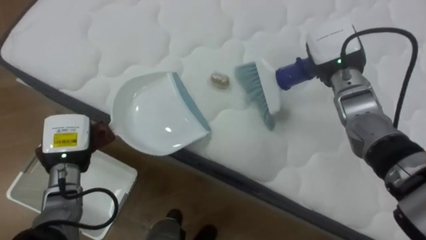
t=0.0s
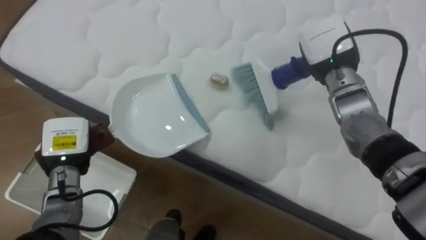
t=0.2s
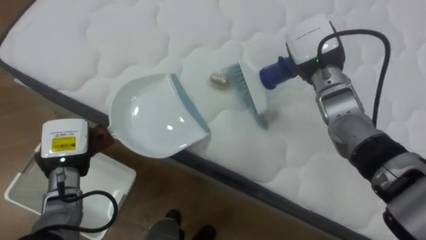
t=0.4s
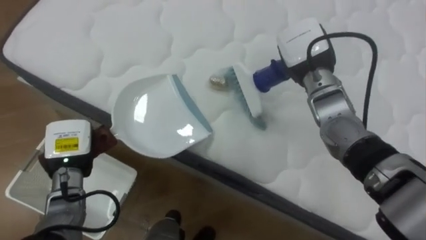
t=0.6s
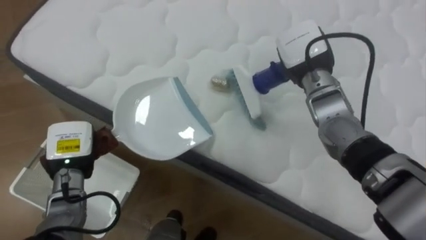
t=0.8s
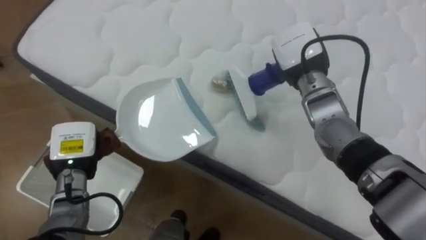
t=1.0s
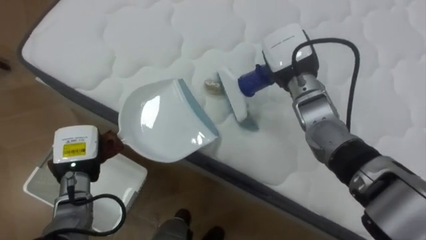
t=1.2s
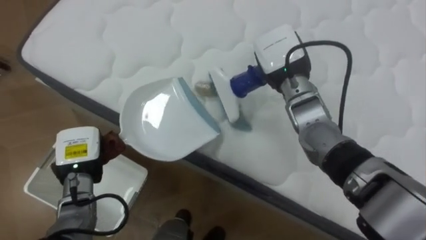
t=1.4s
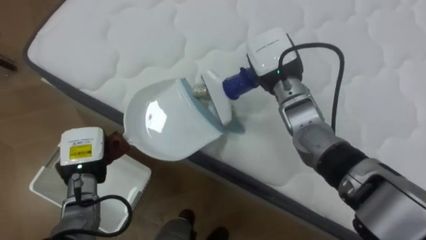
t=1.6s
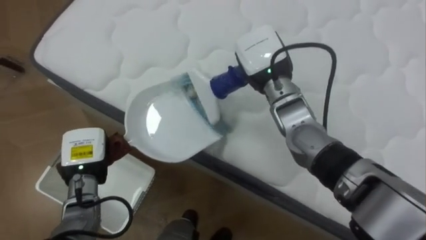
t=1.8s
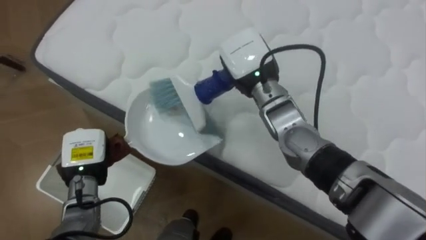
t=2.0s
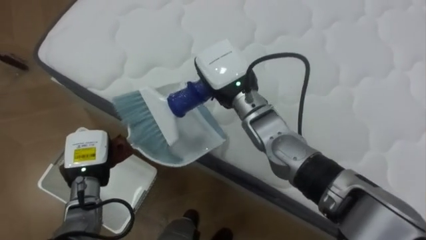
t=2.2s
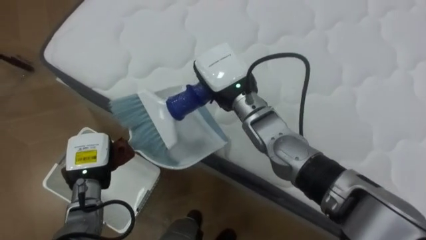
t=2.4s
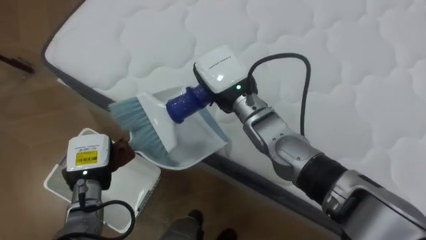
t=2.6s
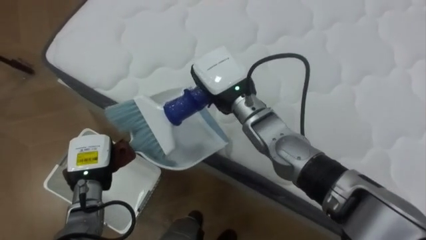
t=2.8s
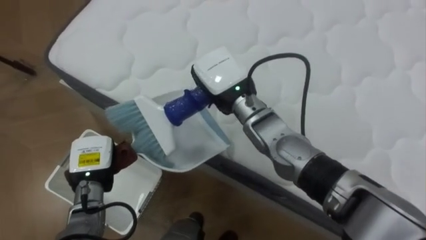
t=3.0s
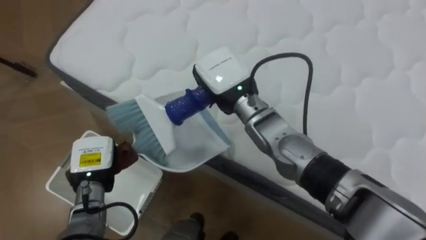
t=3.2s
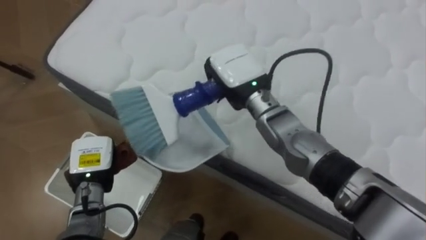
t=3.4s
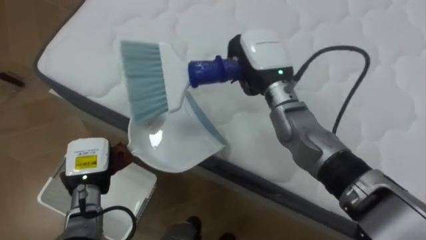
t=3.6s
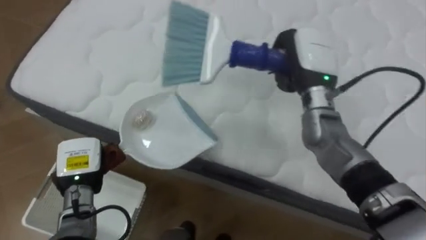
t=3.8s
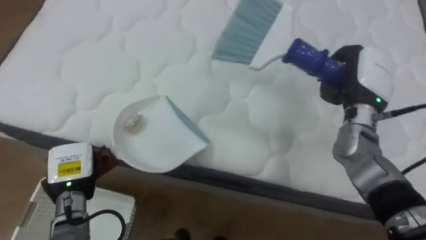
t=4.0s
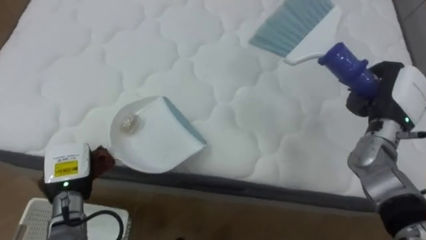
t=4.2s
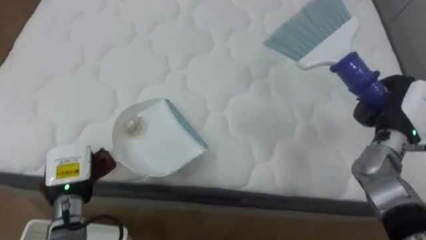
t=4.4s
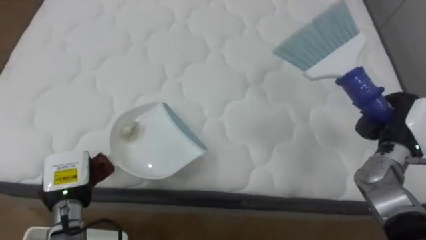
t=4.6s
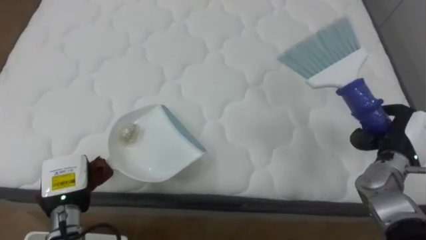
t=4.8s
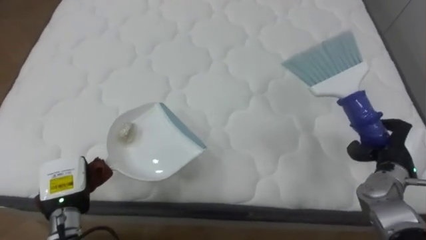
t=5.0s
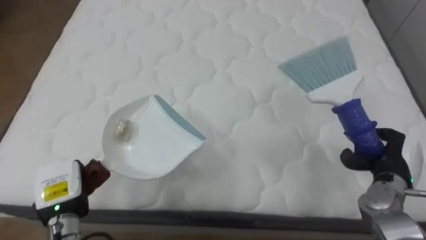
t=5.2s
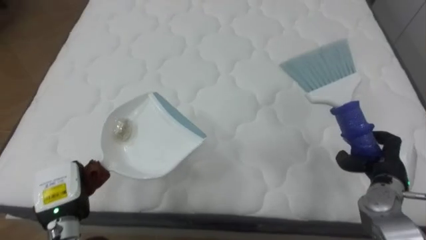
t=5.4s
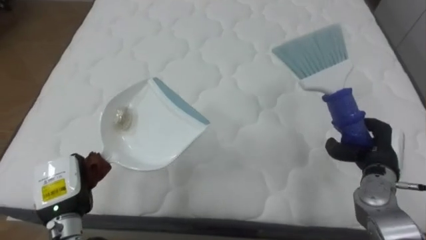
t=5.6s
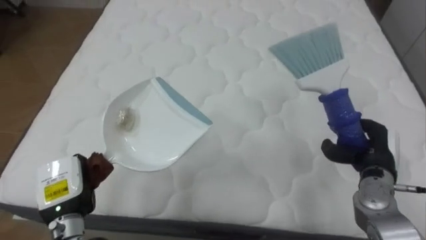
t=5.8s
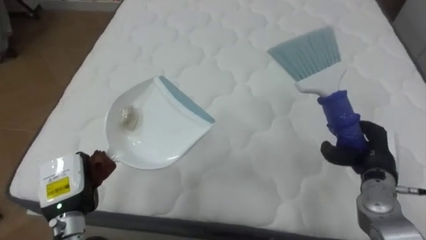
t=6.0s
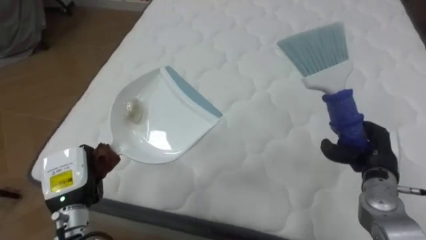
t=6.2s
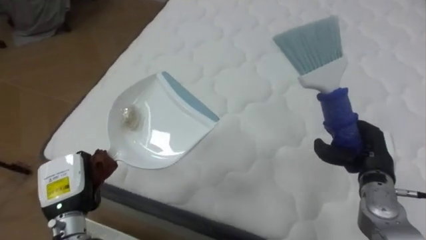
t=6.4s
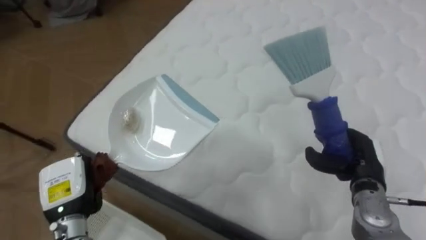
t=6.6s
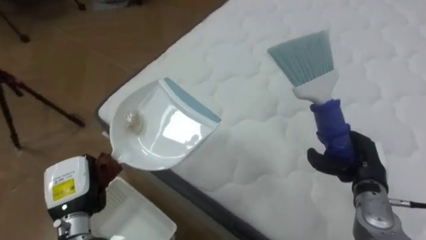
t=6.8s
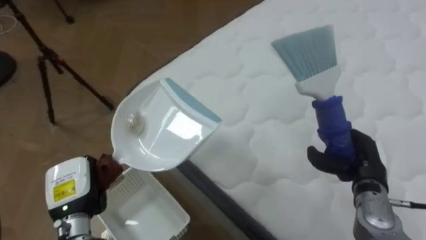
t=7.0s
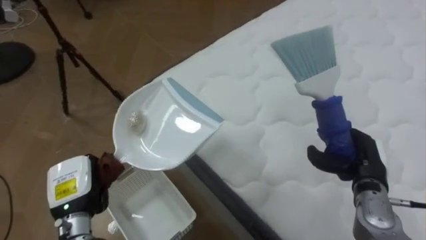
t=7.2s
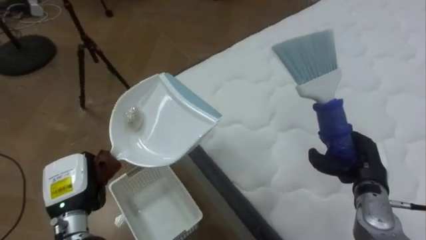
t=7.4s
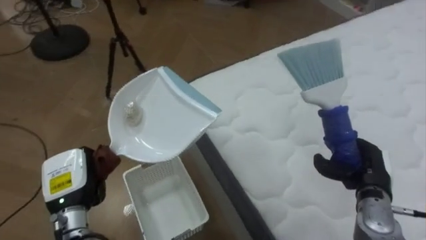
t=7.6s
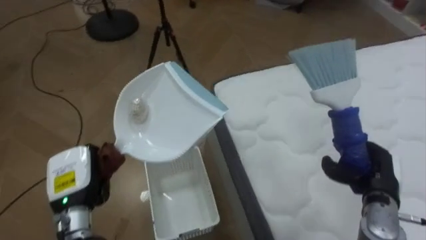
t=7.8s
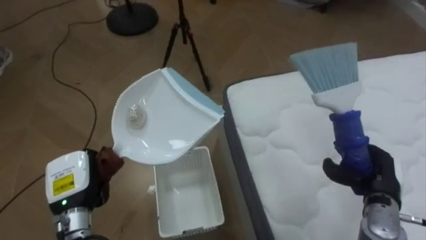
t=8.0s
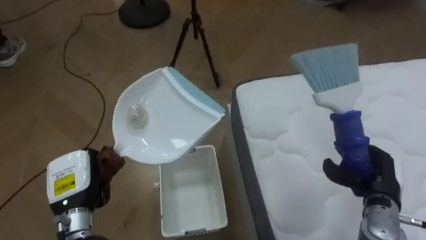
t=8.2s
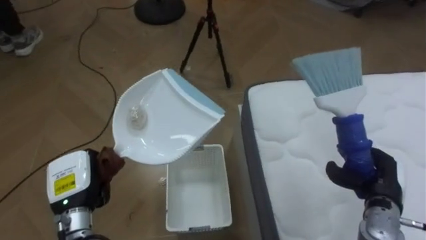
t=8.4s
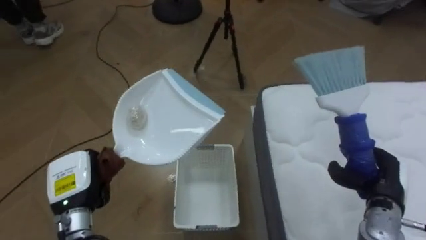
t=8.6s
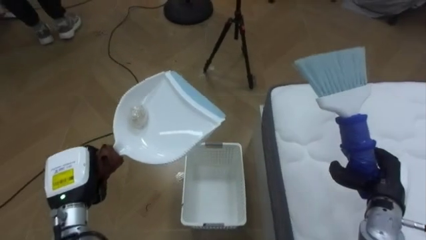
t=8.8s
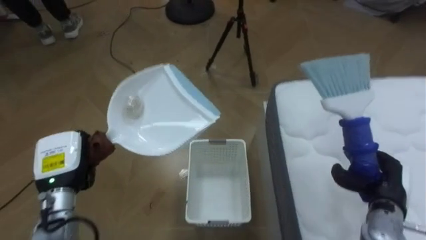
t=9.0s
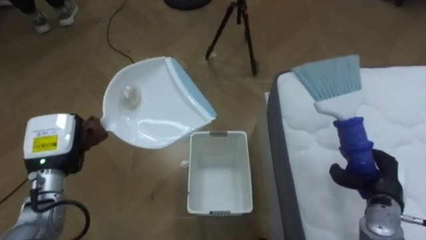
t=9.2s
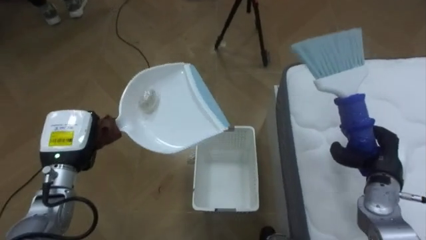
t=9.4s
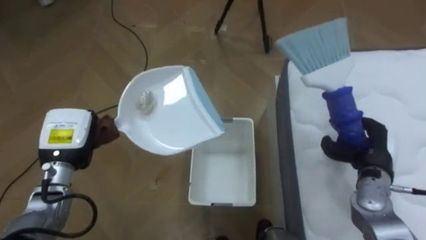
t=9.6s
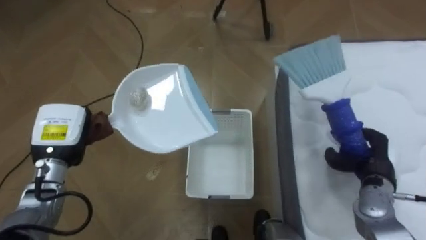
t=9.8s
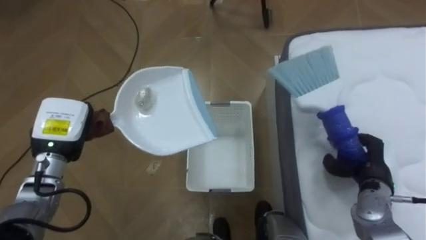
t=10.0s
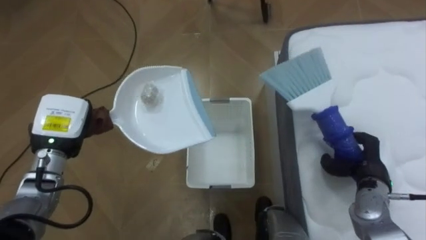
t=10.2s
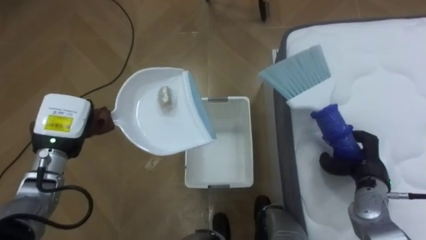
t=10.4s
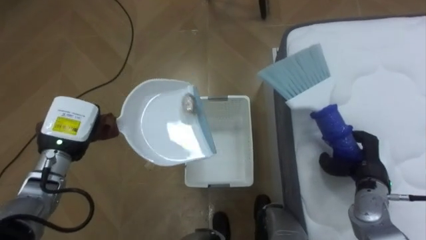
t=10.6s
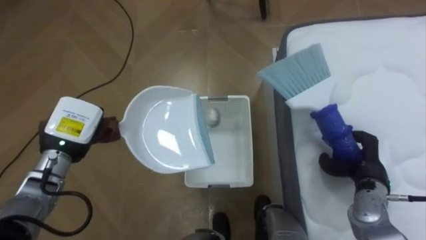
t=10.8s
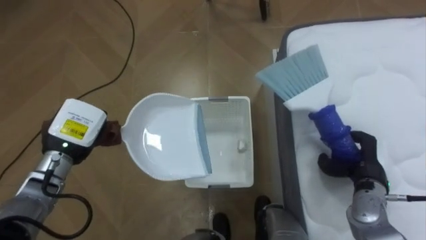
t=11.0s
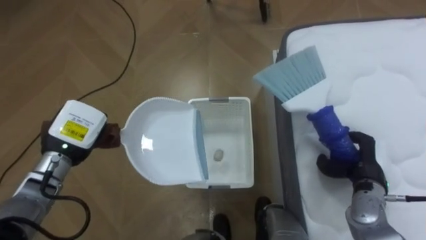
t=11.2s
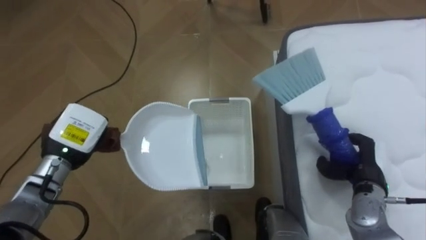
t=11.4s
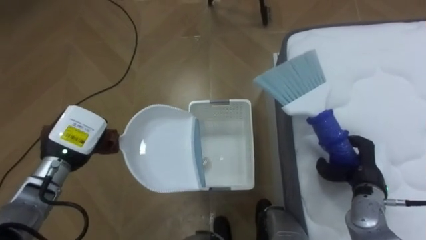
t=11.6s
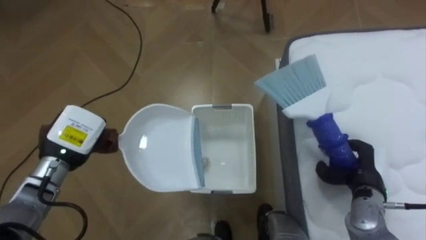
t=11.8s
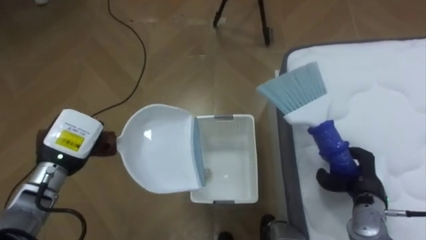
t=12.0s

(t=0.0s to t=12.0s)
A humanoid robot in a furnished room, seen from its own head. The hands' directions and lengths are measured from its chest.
Task of the whole recording: Pick up the brush on your right and the dustpan on your left. Use the brush to sweep the crumpled paper on the bed into the dustpan, then turn left and empty it into the basket.
t=0.0s - t=1.6s: The right hand moves to the left, approximately 10 cm.
t=1.6s - t=3.0s: The right hand travels to the left by approximately 10 cm.
t=3.0s - t=4.4s: The right hand shifts approximately 35 cm to the right.
t=4.4s - t=6.0s: The right hand heads downward, covering about 5 cm.
t=6.0s - t=7.6s: The robot's body swings roughly 50 degrees to its left.
t=7.6s - t=9.0s: The robot rotates about 35 degrees to its left.
t=9.0s - t=10.4s: The two hands go approximately 5 cm forward.

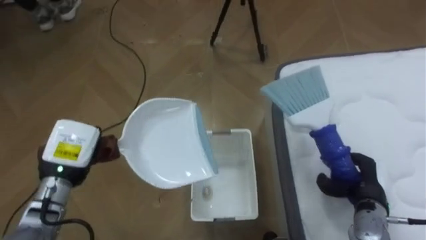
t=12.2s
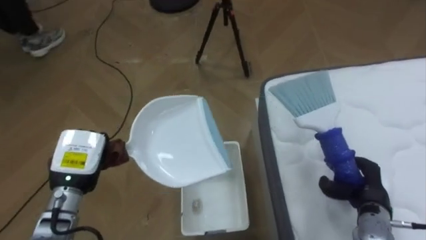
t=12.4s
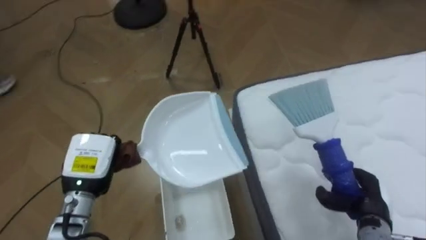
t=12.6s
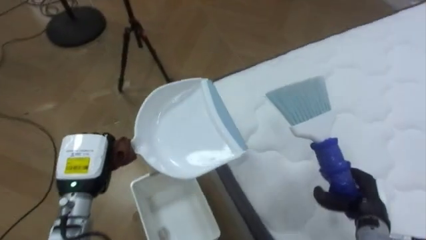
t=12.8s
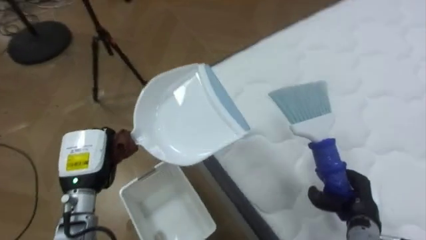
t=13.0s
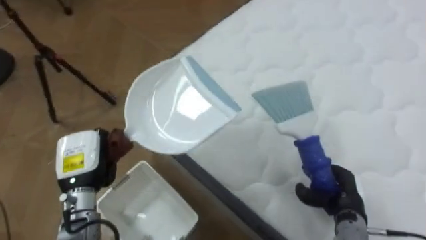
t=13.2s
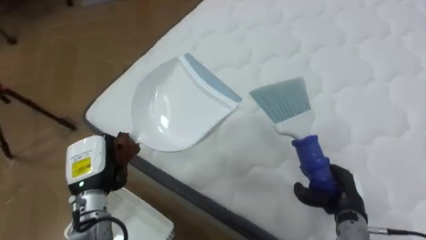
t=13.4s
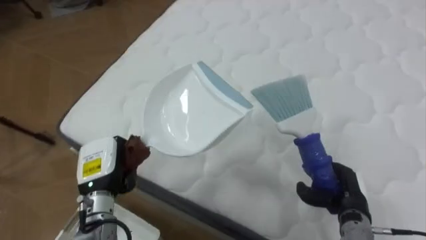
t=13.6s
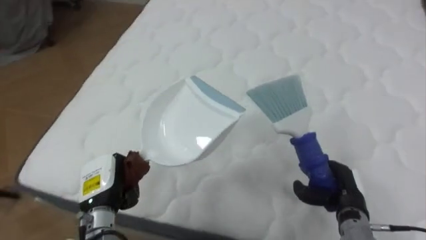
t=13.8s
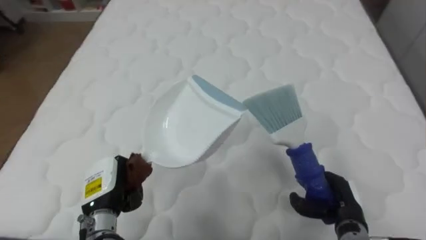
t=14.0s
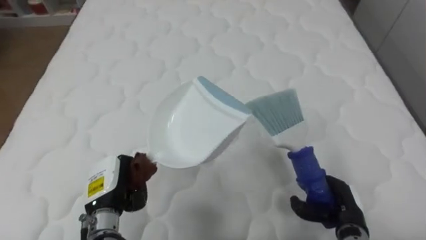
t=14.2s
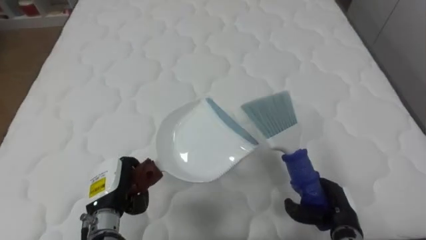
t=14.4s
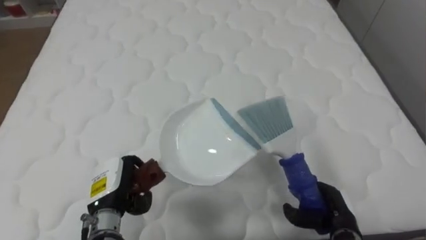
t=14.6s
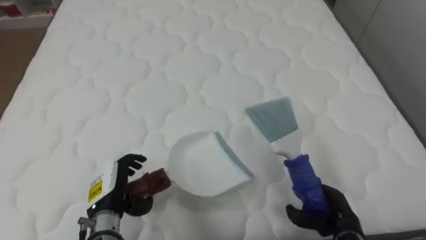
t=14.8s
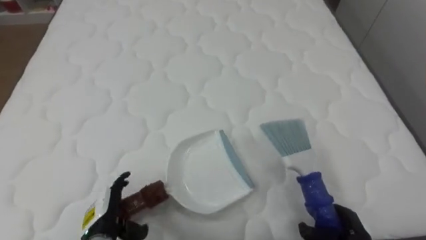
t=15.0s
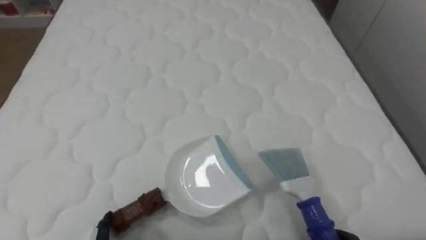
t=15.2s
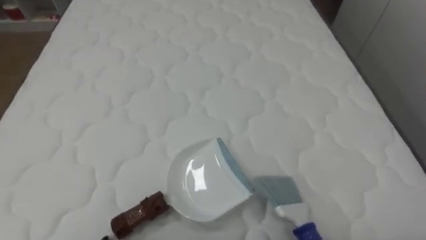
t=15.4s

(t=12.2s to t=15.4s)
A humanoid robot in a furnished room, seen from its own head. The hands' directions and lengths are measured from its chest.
Task of the whole recording: Pick up the brush on your right and the dustpan on your left. Use the brush to sweep the crumpled paper on the bed into the dustpan, then turn left and empty it into the basket.
t=12.2s - t=13.8s: The robot faces about 75 degrees further to its right. The left hand heads downward, covering approximately 5 cm.
t=13.8s - t=15.4s: The robot's body swings about 20 degrees to its right.

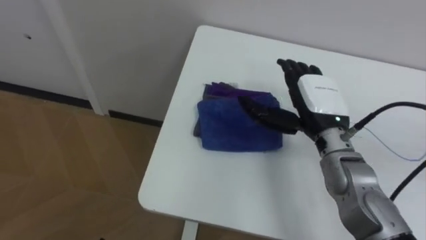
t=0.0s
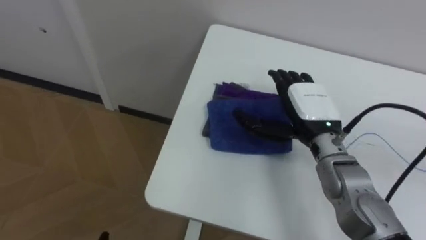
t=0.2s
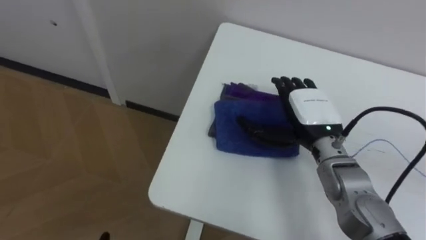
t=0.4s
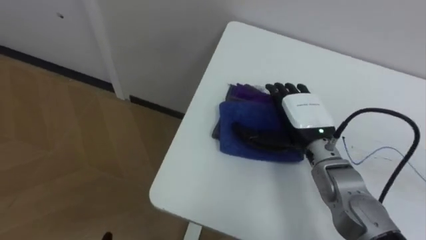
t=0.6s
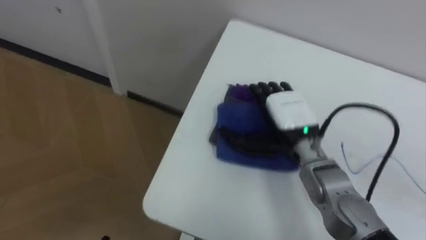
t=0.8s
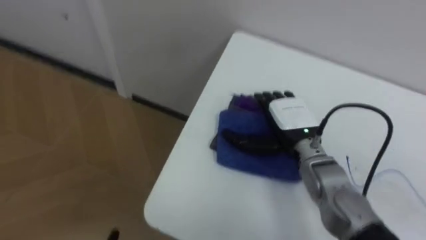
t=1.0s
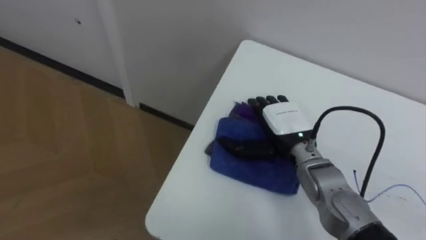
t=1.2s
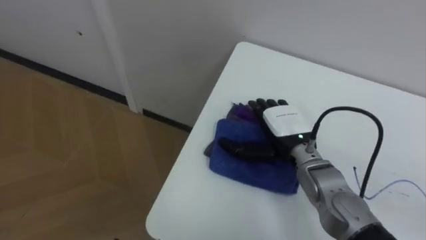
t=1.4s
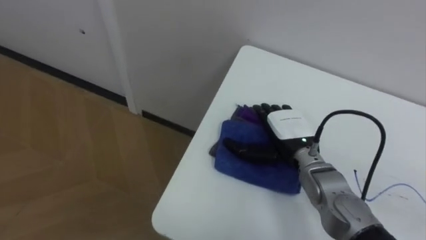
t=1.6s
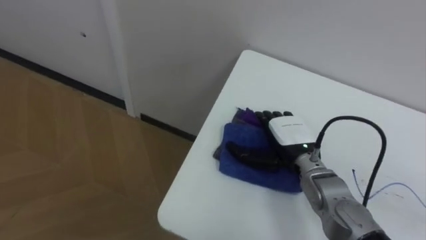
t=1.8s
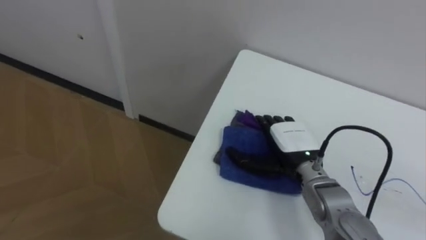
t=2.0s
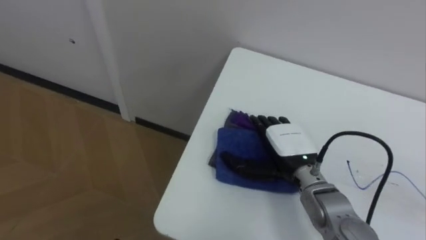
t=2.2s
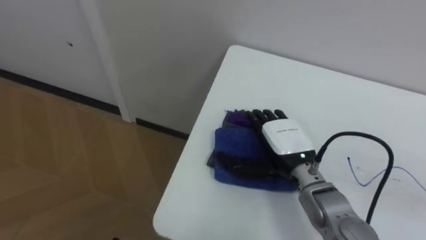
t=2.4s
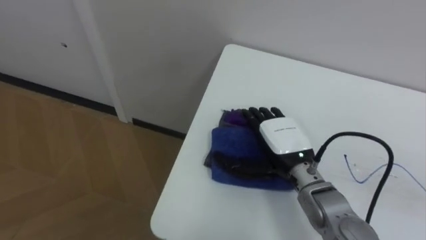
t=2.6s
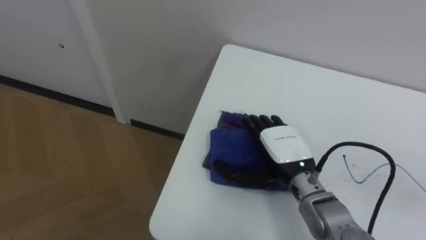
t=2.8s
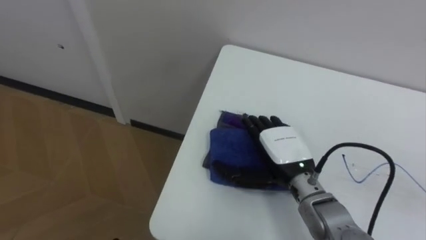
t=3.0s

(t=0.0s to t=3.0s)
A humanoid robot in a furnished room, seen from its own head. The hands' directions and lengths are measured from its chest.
Task of the whole recording: Wipe the blue pen marks off the table with the rag.
t=0.0s - t=1.6s: The right hand travels downward by roughly 10 cm.
